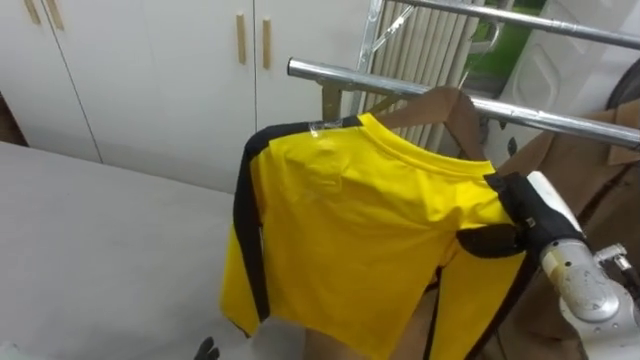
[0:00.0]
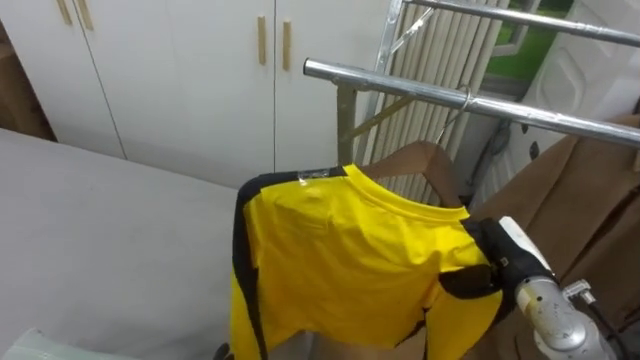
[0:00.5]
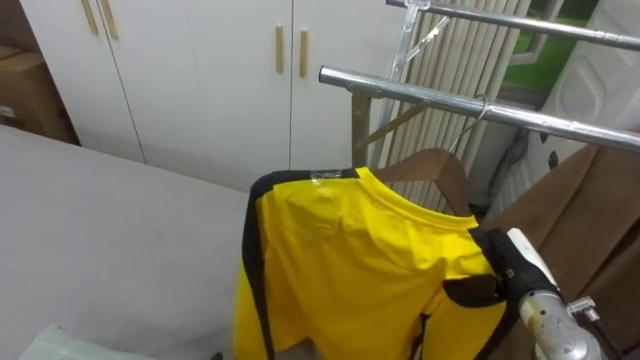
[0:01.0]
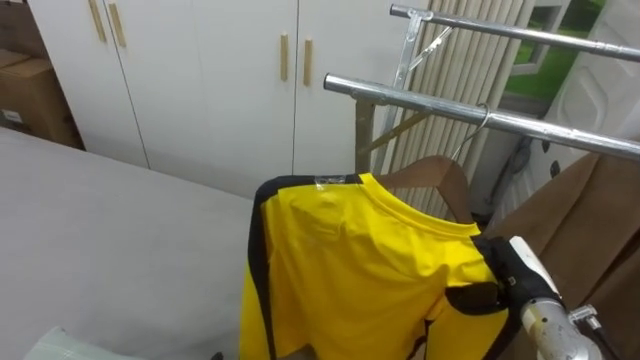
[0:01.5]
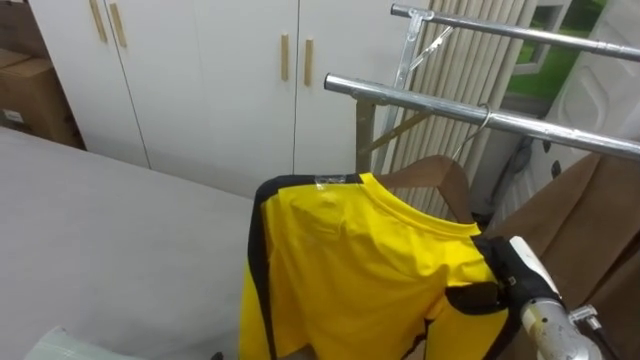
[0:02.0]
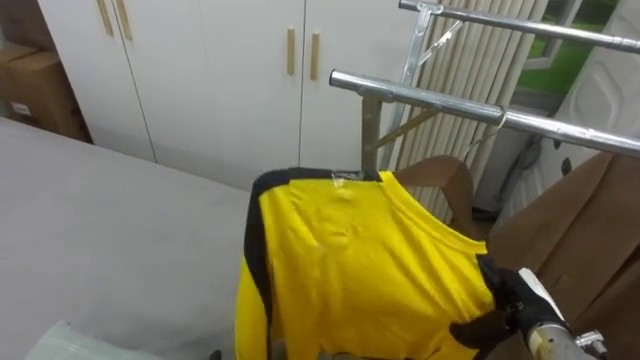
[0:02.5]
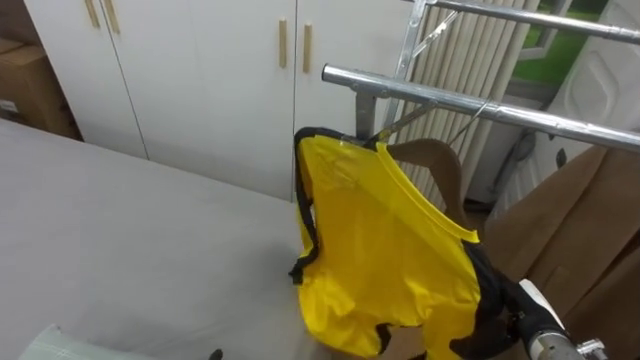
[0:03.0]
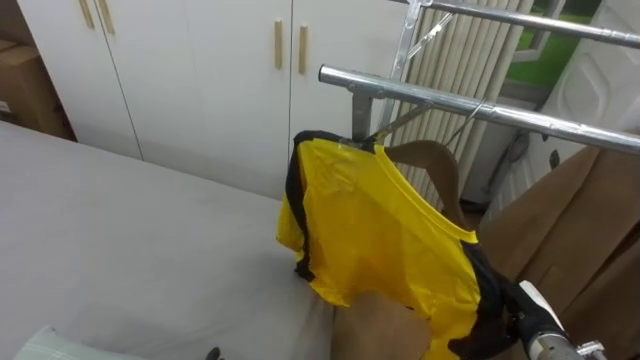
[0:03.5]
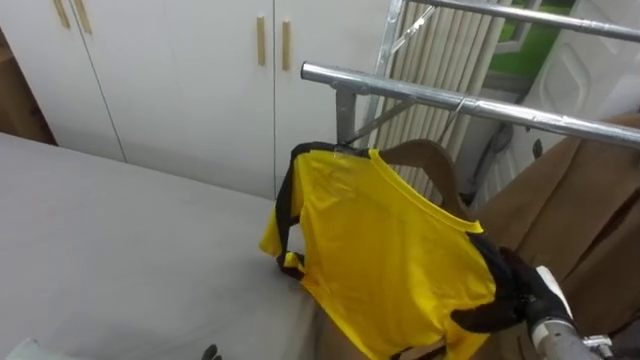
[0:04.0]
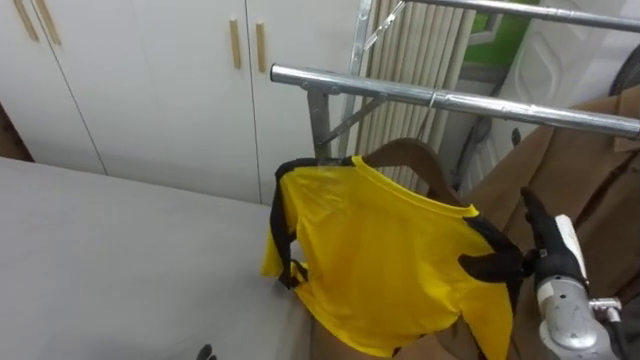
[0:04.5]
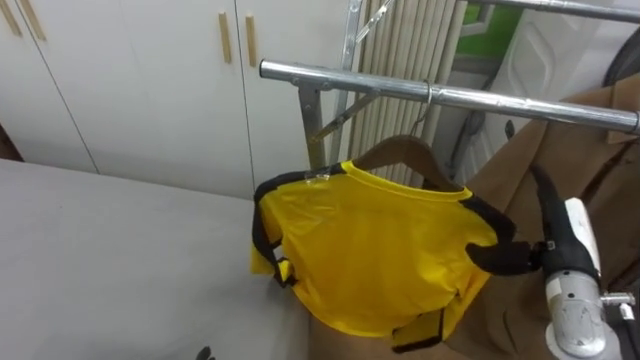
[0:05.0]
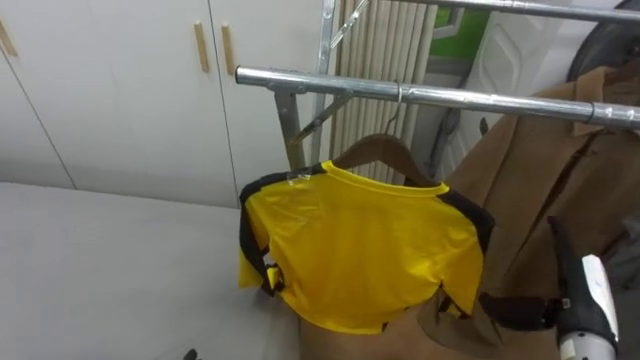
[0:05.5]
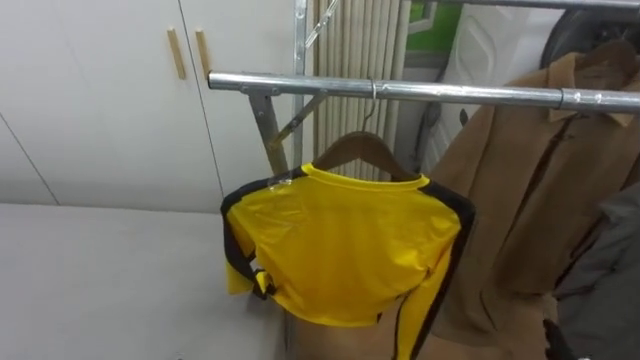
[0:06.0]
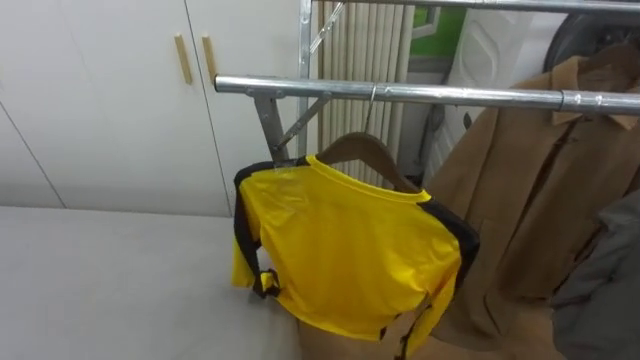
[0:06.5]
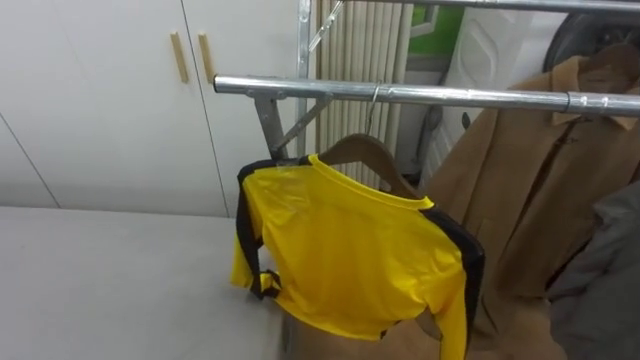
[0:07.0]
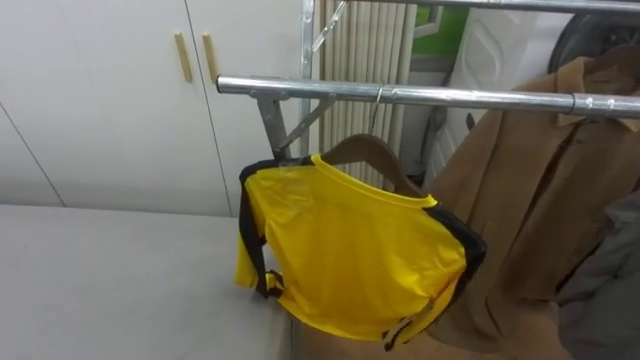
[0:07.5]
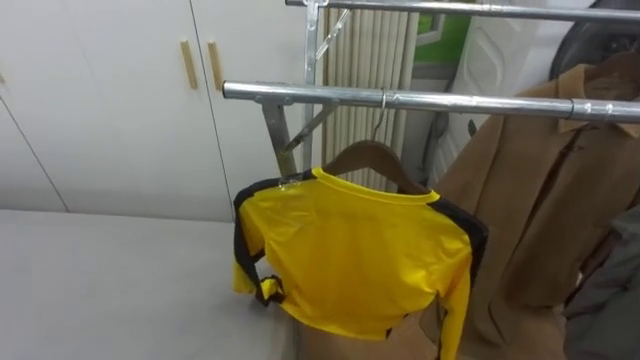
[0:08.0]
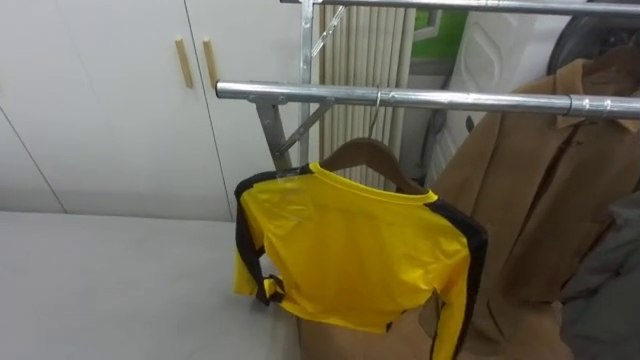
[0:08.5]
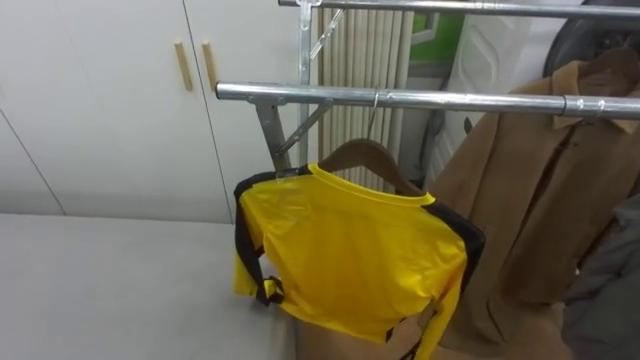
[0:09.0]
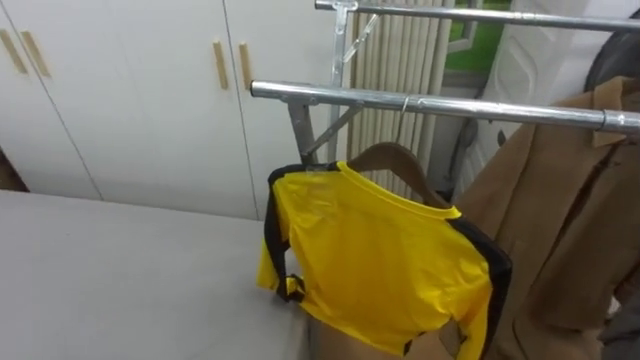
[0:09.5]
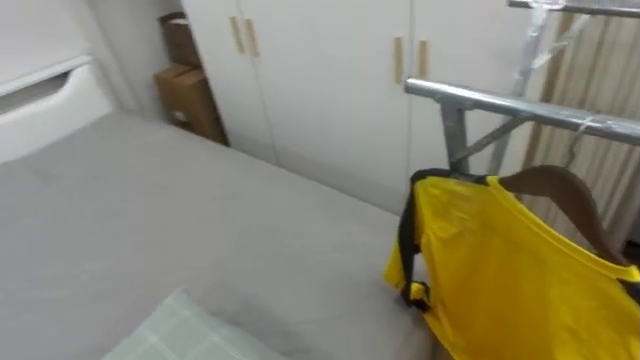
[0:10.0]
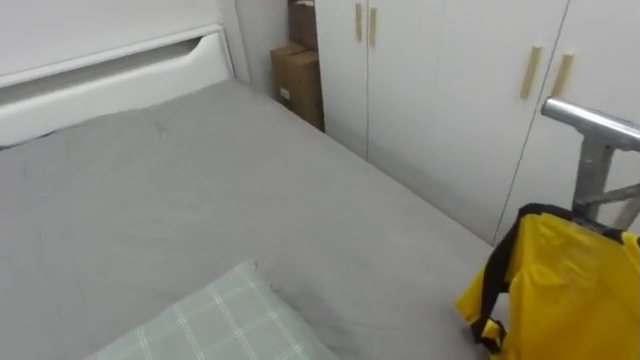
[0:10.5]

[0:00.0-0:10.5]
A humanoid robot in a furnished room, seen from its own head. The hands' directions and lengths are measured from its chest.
Task of the whole recording: Pick up the yellow shirt on the bed and hang it on the clothes rack on the right.
0:00.0 to 0:02.0: The right hand heads downward, covering some 10 cm.
0:02.0 to 0:04.0: The right hand opens its fingers.
0:08.5 to 0:10.5: The robot faces about 45 degrees further to its left.

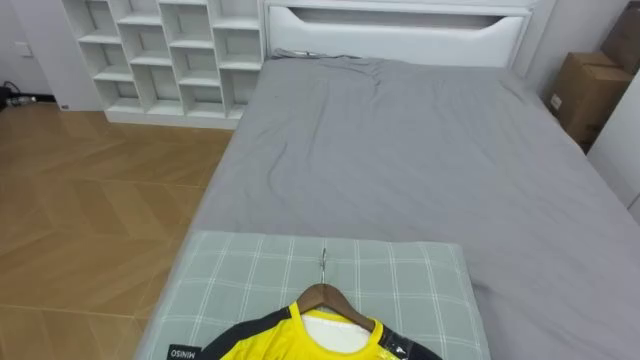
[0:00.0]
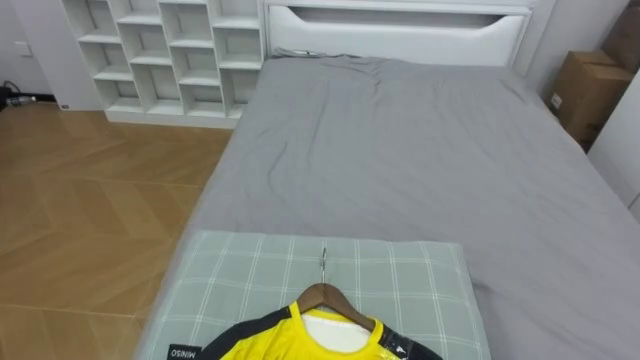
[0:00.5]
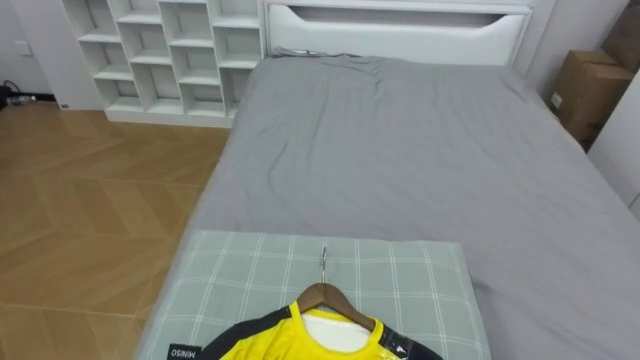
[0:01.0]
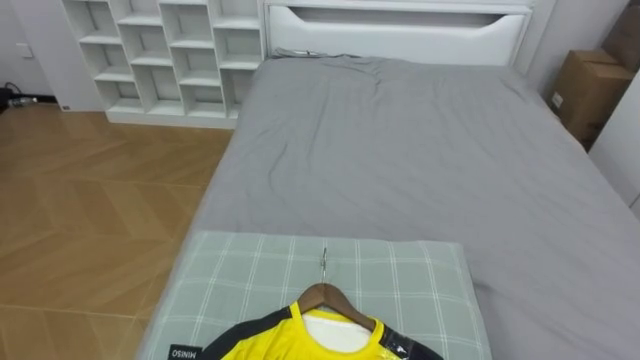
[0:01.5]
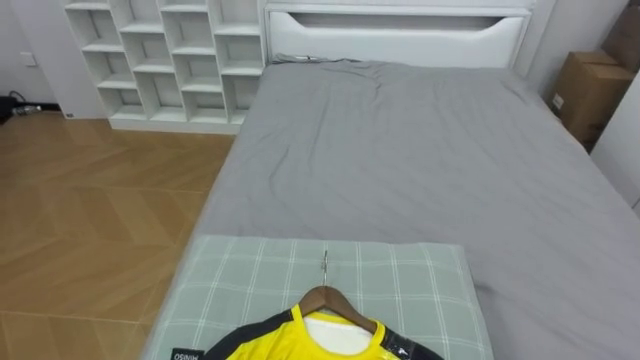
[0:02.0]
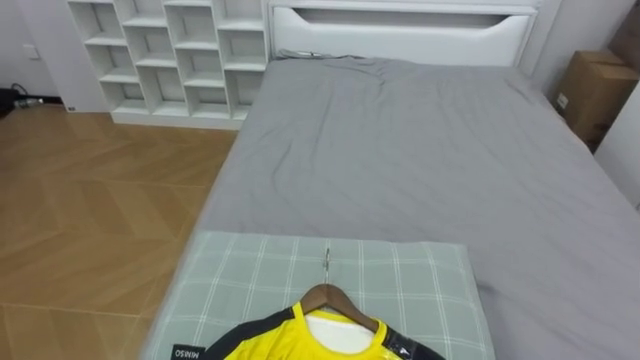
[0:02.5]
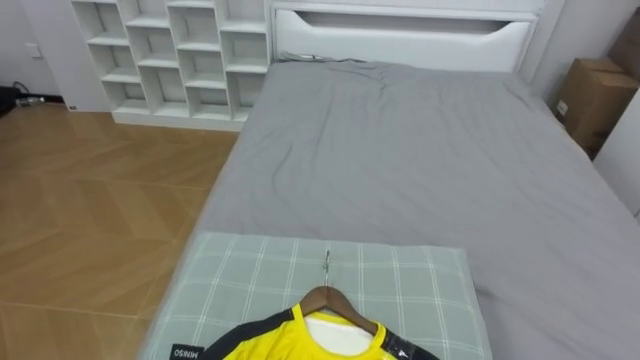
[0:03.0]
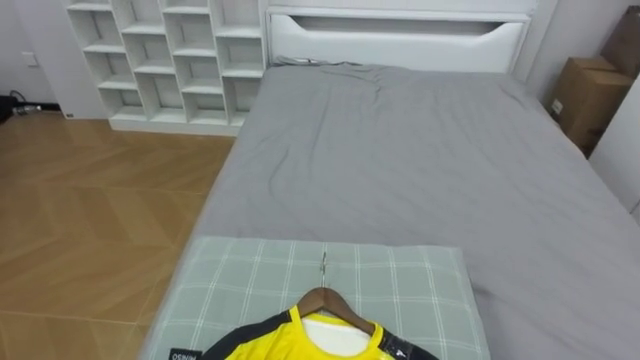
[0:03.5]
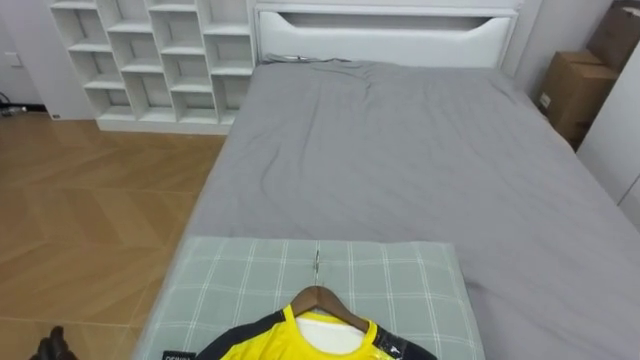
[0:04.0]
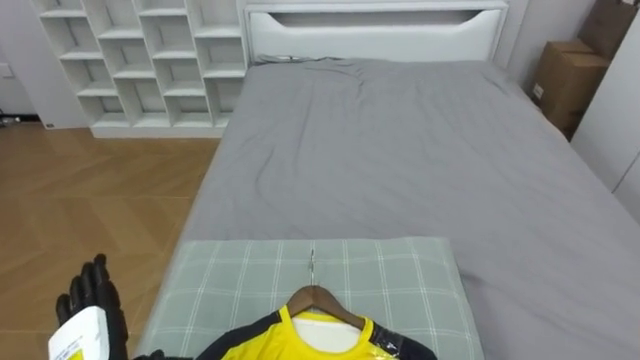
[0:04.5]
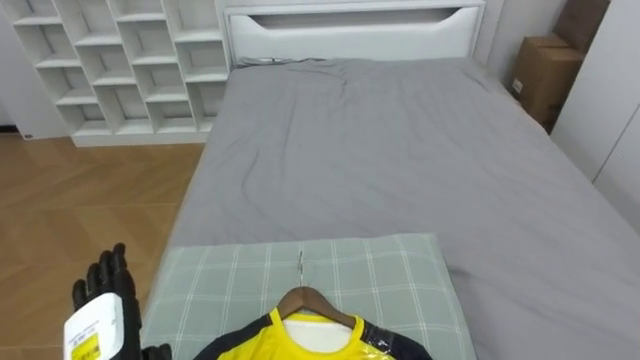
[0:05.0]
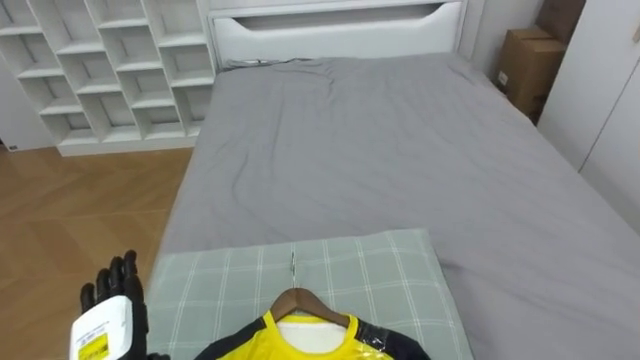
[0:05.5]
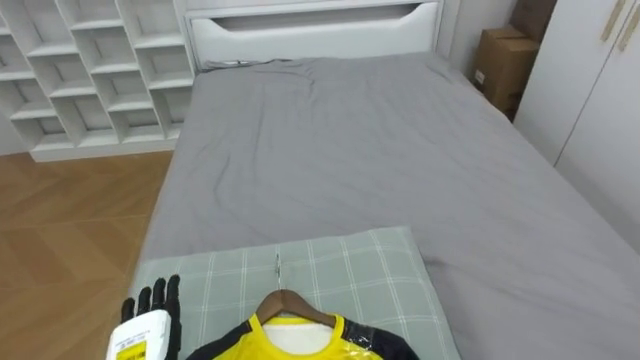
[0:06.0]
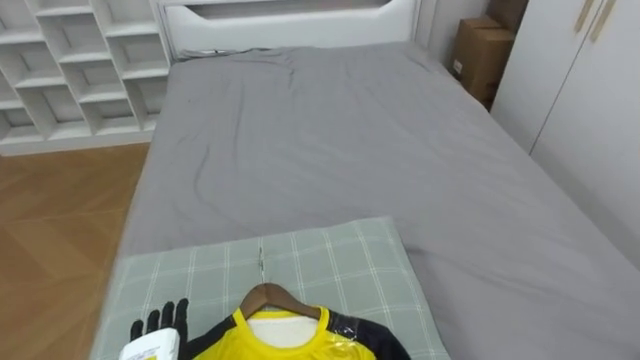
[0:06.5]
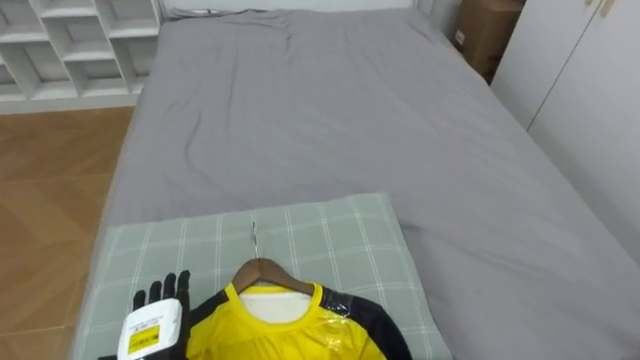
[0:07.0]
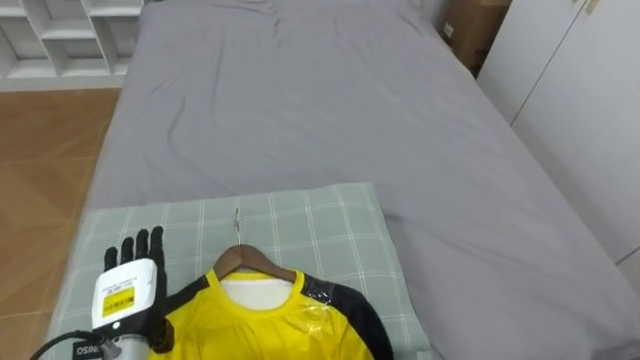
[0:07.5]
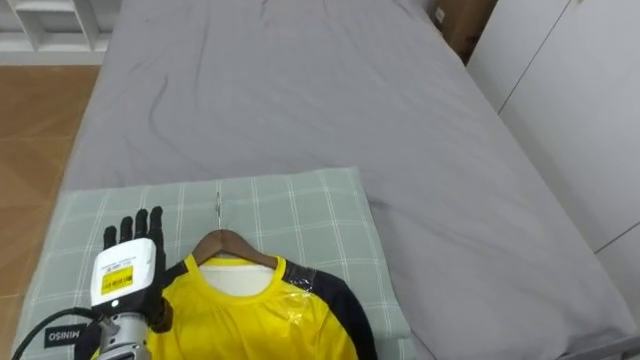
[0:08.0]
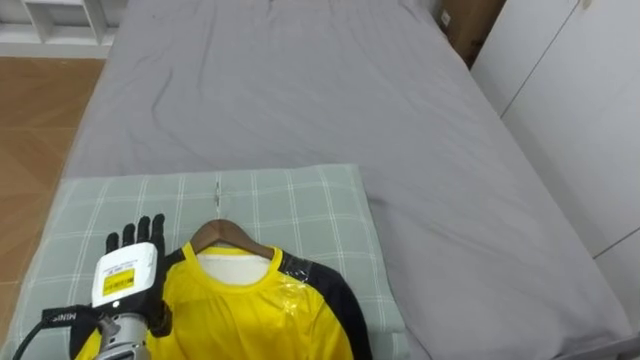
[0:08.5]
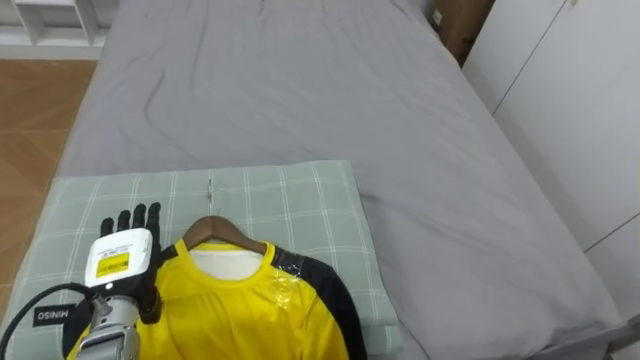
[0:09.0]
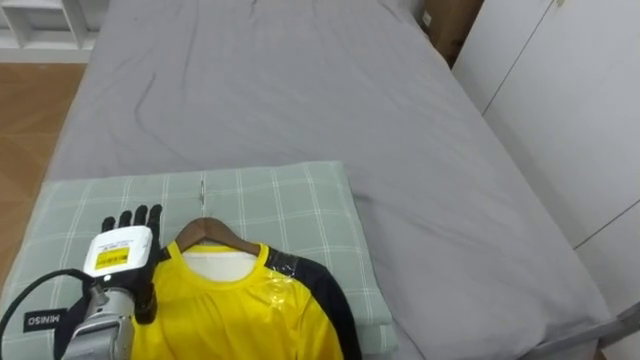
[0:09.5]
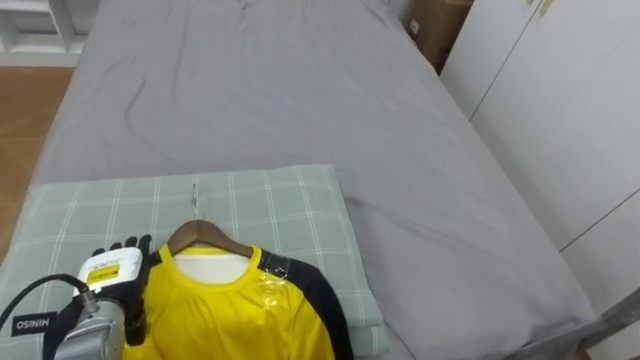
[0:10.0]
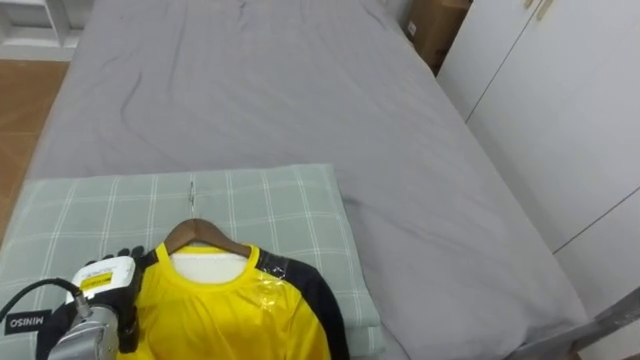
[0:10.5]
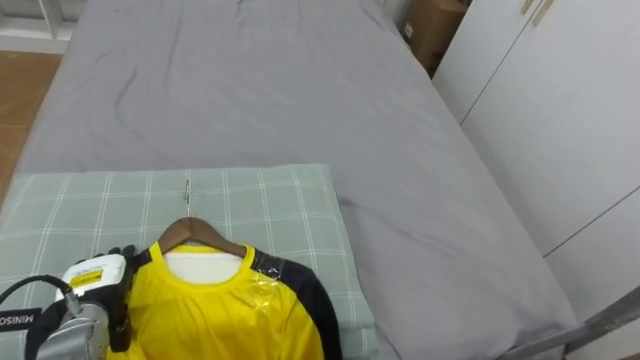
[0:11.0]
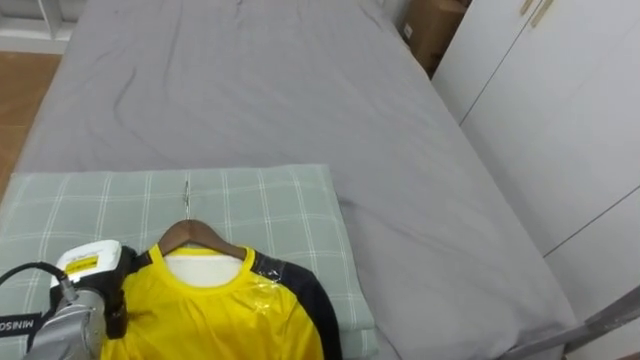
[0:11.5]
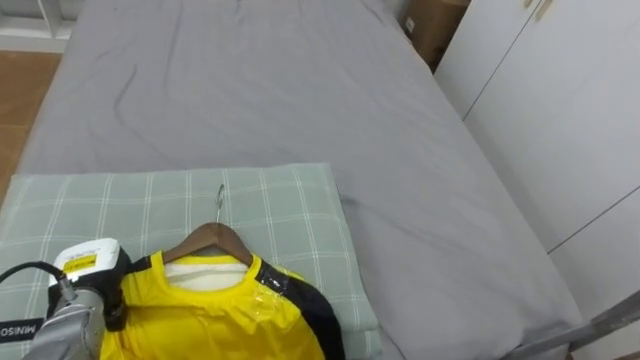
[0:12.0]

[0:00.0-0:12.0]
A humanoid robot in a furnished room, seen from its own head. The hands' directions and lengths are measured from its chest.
Task of the whole recording: Pick up the yellow shirt on the bed and hang it on the clothes rack on the right.
0:10.0 to 0:12.0: The left hand closes up.
